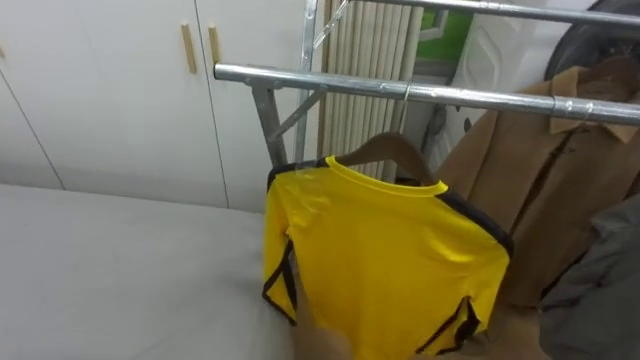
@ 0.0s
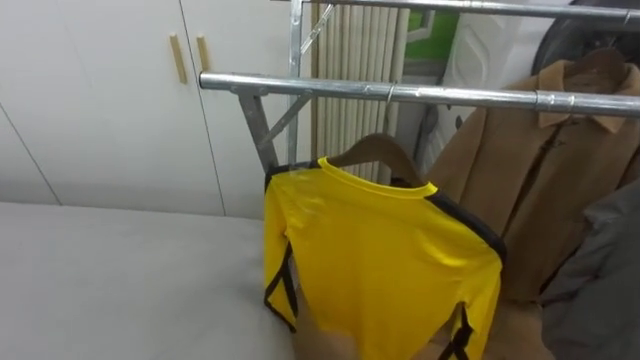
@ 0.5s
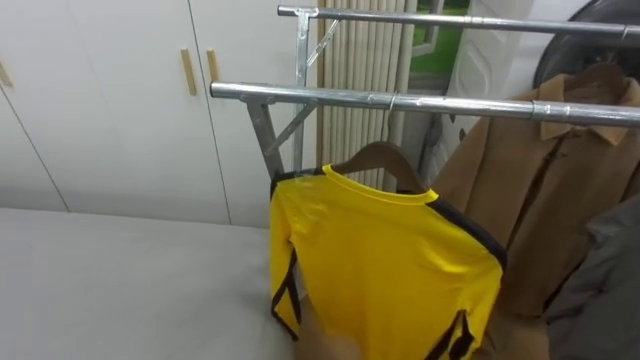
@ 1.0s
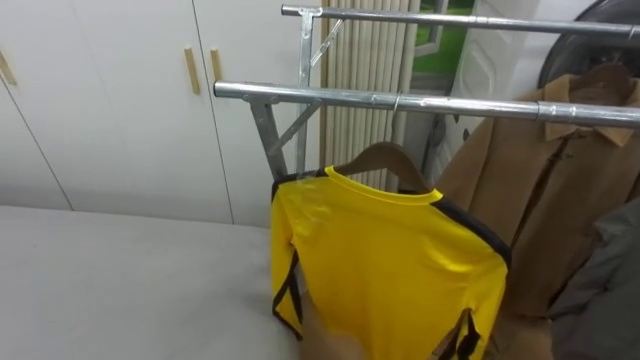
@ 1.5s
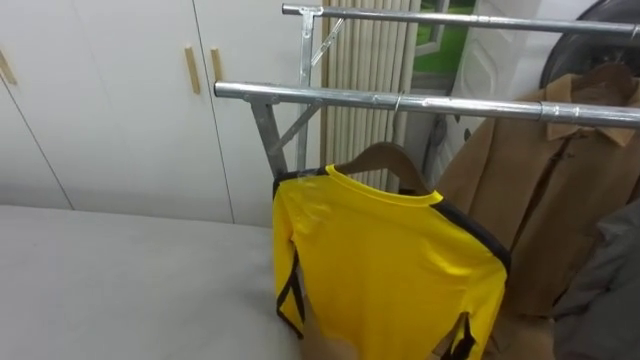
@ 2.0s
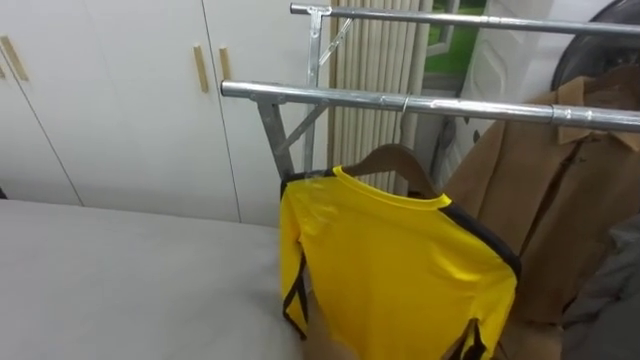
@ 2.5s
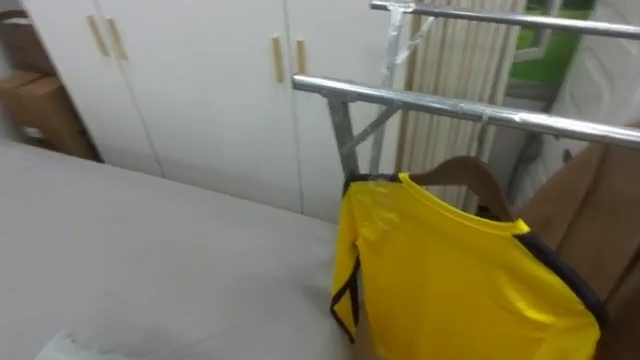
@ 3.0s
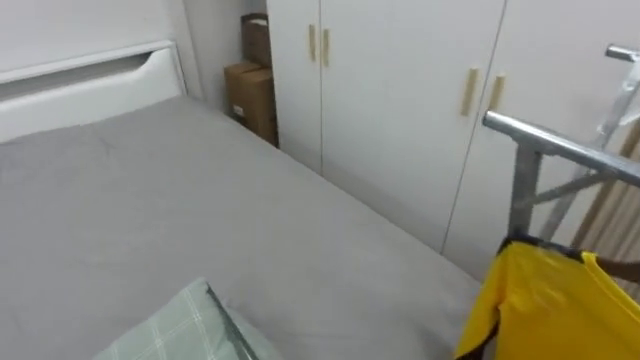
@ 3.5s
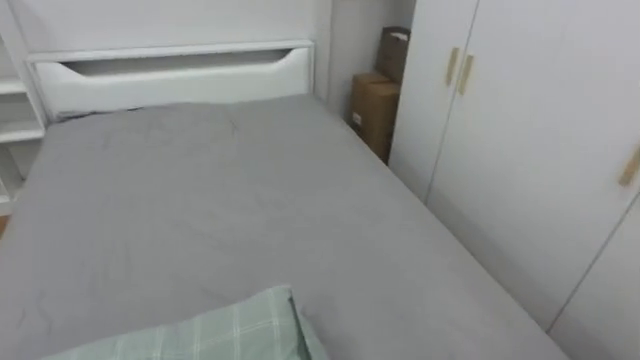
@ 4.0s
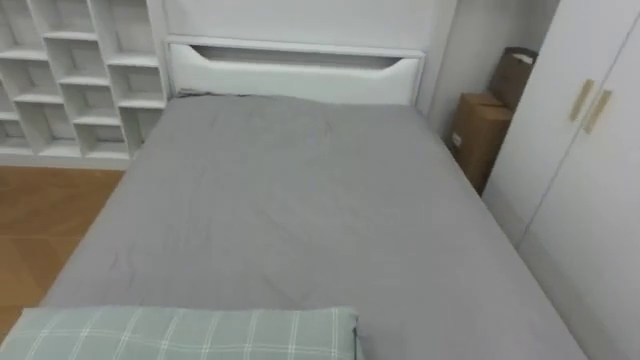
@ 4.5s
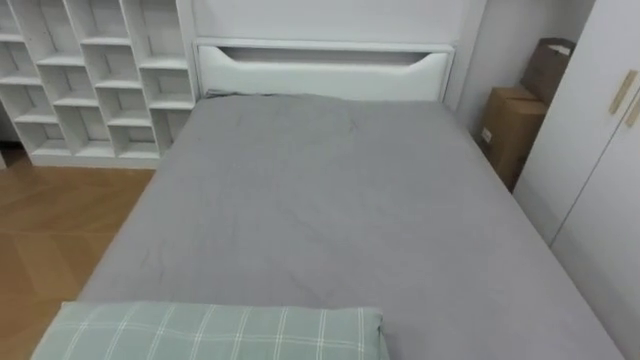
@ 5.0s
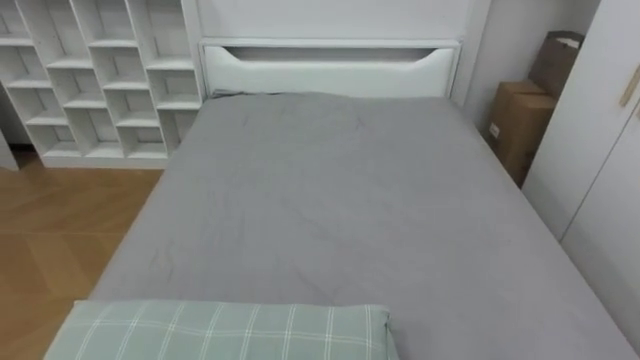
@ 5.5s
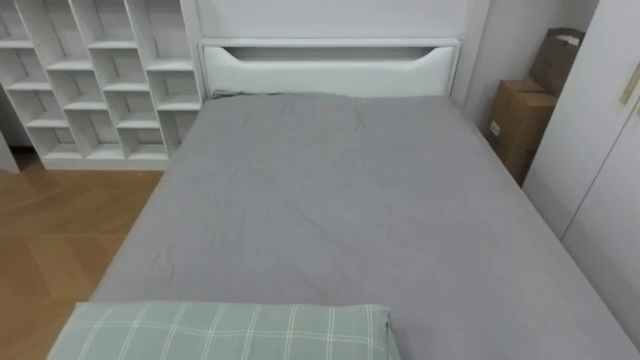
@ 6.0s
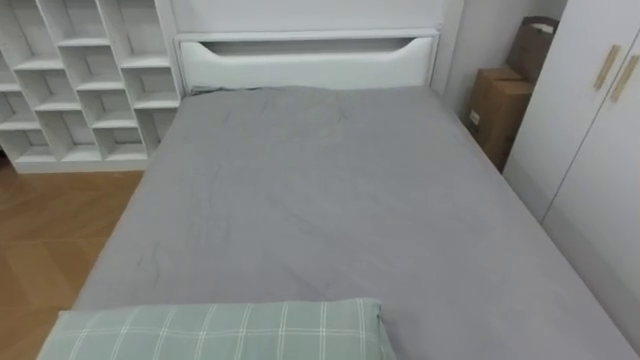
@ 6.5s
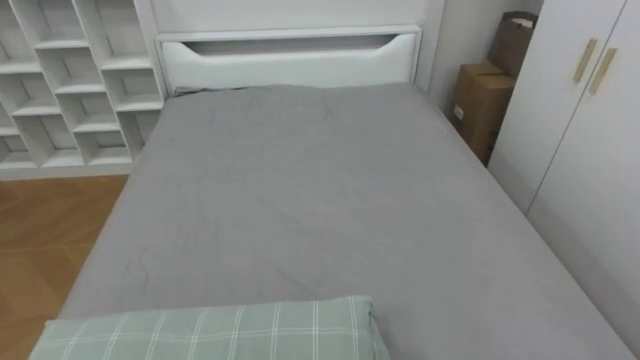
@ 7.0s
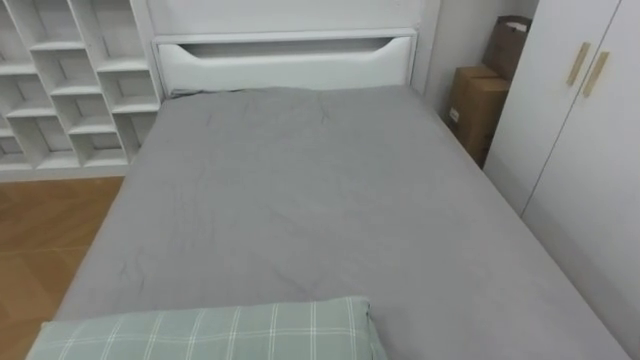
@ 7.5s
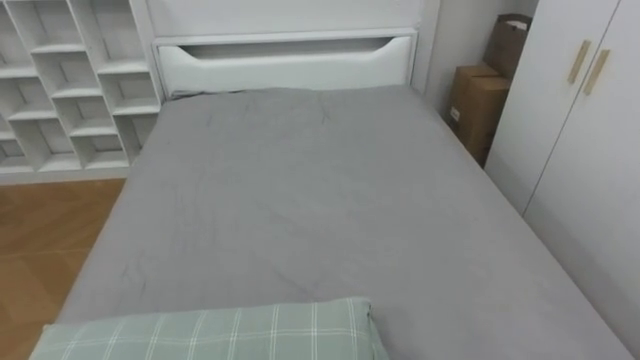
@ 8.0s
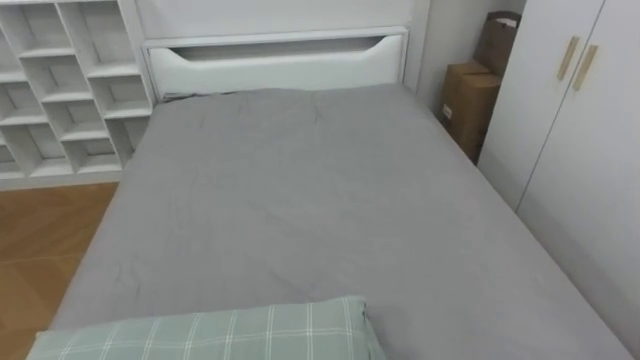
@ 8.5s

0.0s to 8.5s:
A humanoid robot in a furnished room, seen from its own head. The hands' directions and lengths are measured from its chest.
Task of the whole recording: Pick up the yellow shirt on the bed and hang it on the clothes rack on the right.
2.0s to 4.0s: The robot rotates approximately 65 degrees to its left.
4.0s to 6.5s: The robot turns to its left by some 15 degrees.

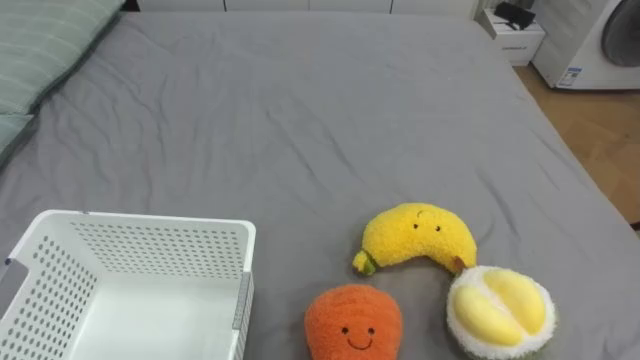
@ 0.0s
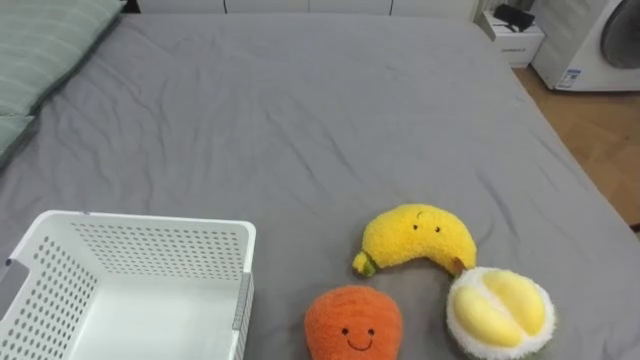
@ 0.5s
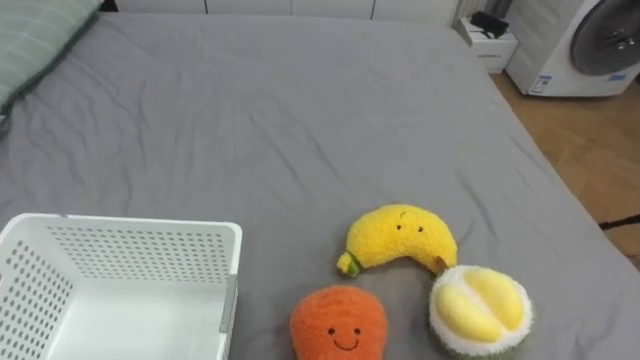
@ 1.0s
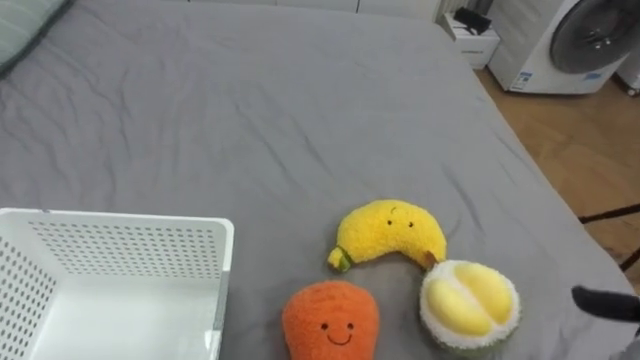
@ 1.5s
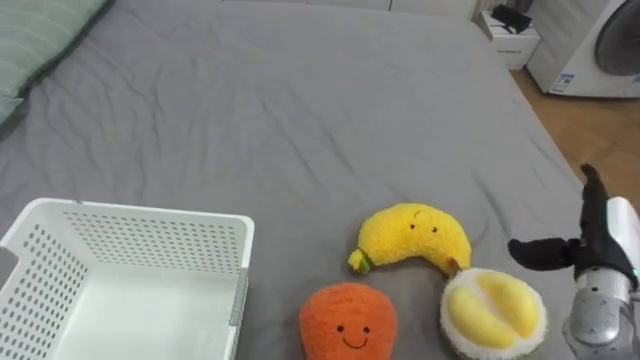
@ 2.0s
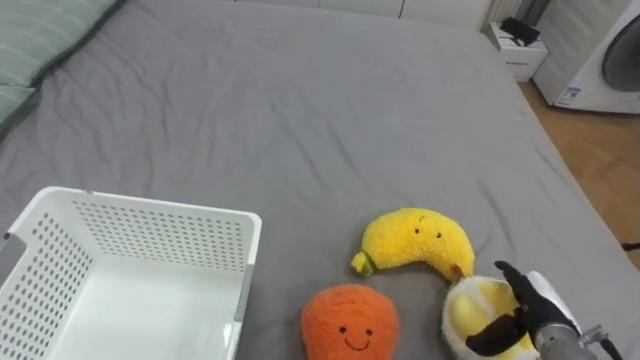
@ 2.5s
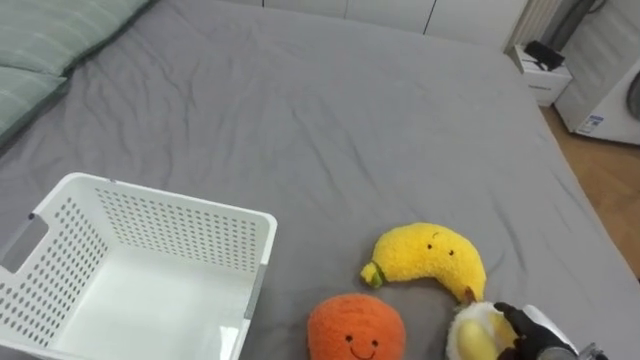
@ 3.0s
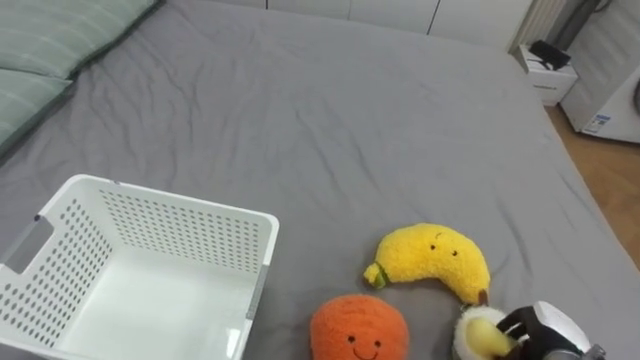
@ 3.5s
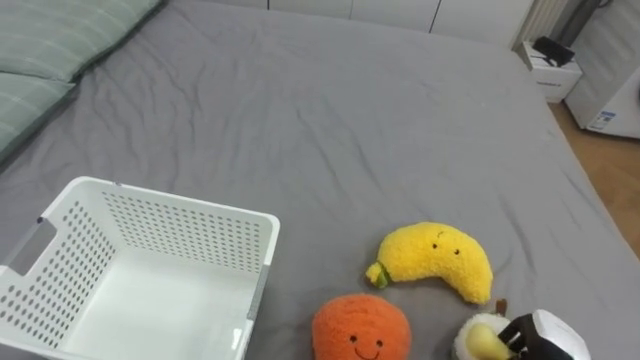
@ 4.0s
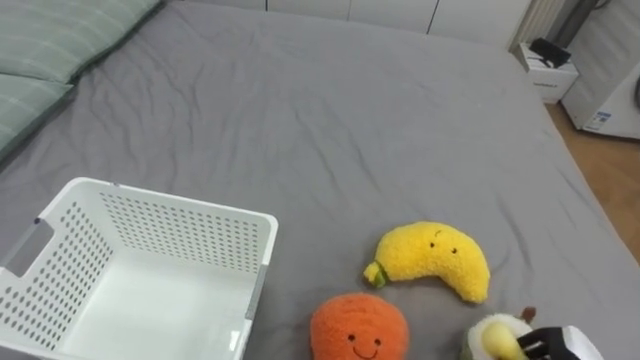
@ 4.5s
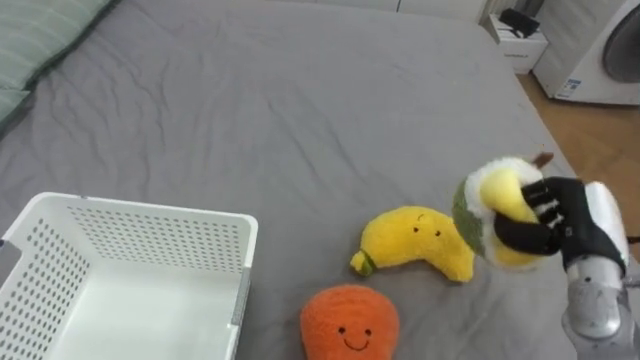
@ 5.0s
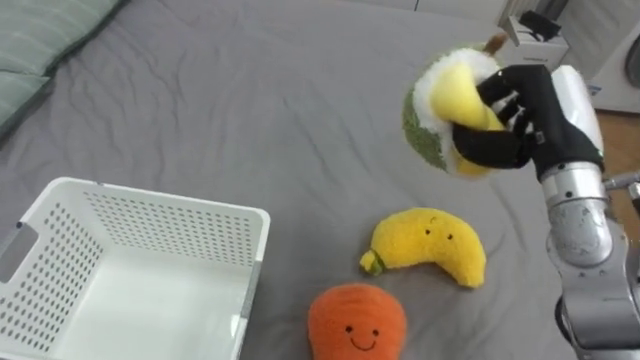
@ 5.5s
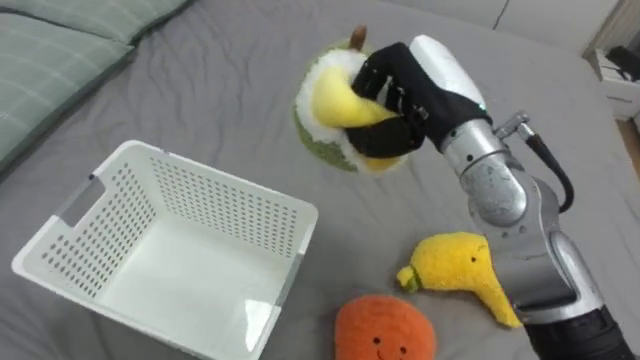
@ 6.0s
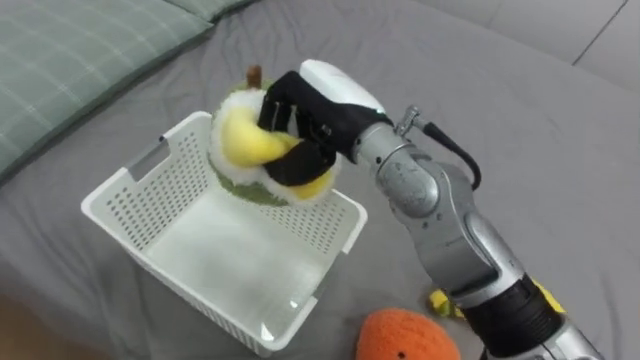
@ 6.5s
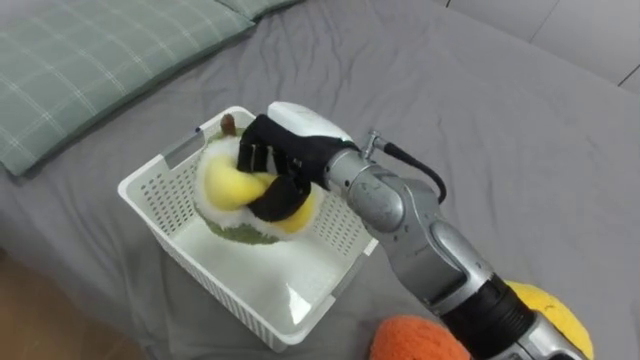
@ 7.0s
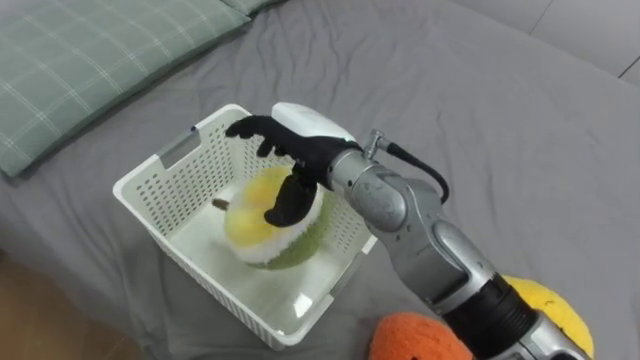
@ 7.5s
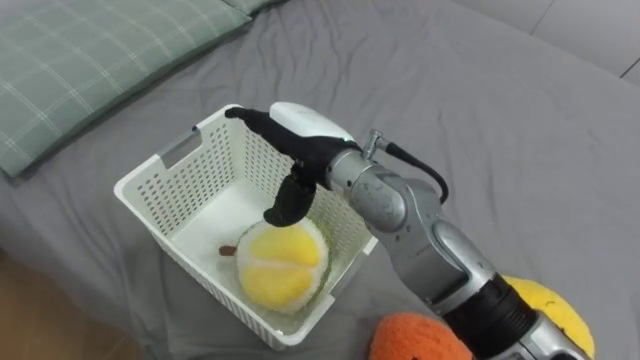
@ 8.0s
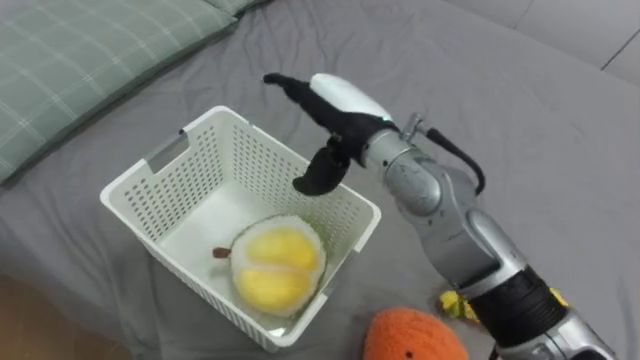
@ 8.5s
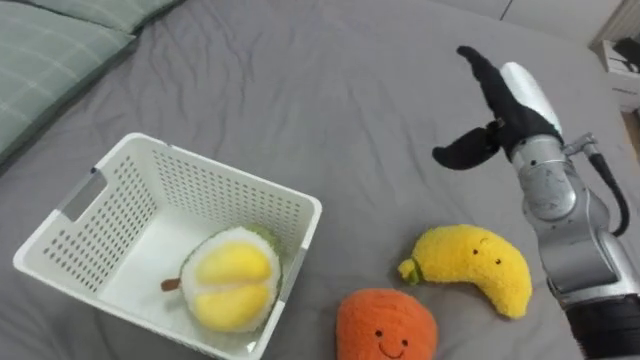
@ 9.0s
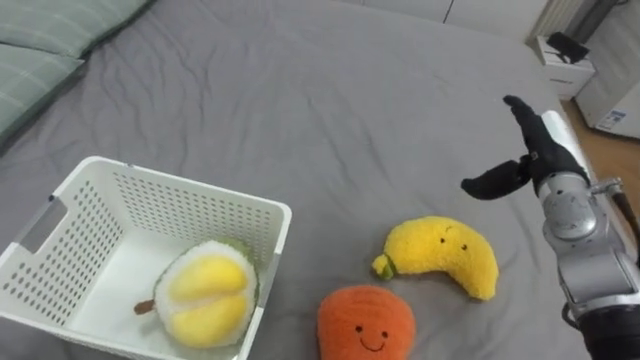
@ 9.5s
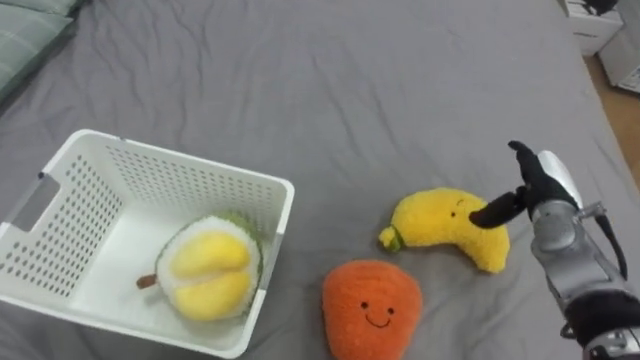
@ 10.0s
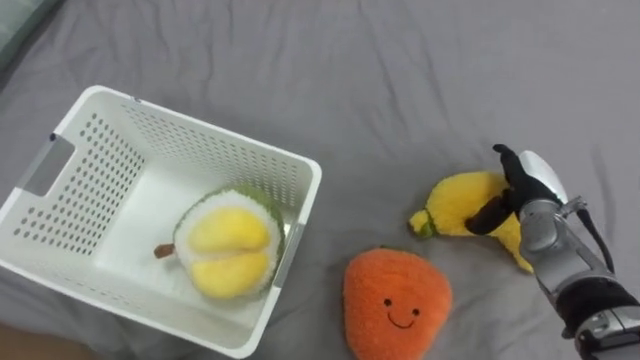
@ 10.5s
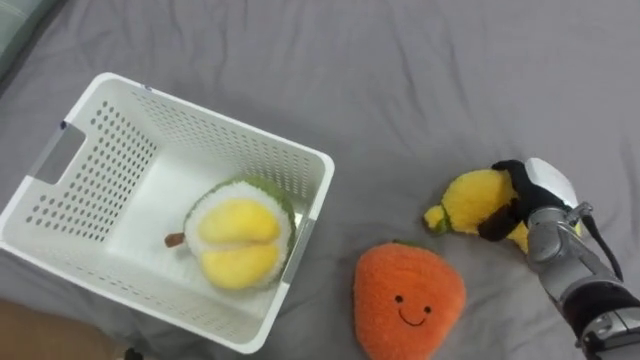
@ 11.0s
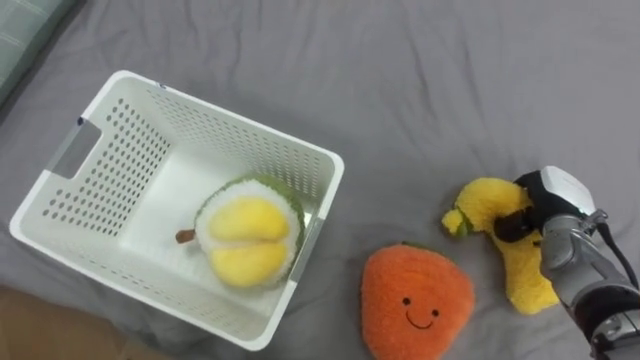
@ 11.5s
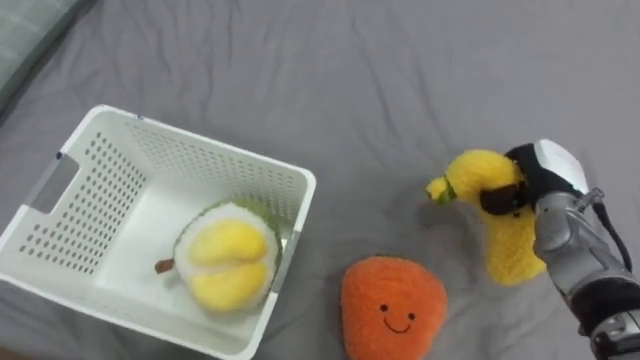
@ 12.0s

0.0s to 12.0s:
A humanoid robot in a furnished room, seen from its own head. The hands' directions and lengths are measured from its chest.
Task of the whole recording: Put the toys on the bed into the basket on the left.
2.0s to 4.0s: The right hand travels downward and backward by some 15 cm, and closes.
6.0s to 8.0s: The right hand travels to the left by roughly 15 cm, and opens up.
8.0s to 10.0s: The right hand is displaced to the right by approximately 30 cm.
10.0s to 12.0s: The right hand closes up.
